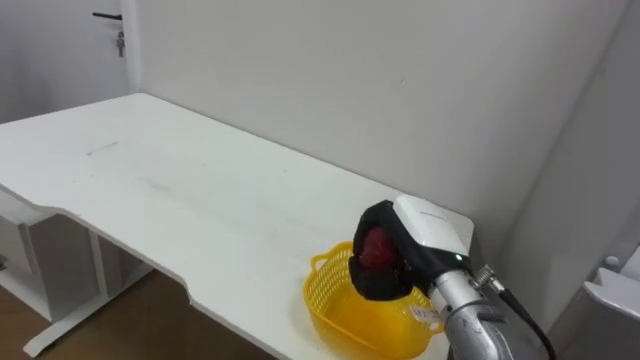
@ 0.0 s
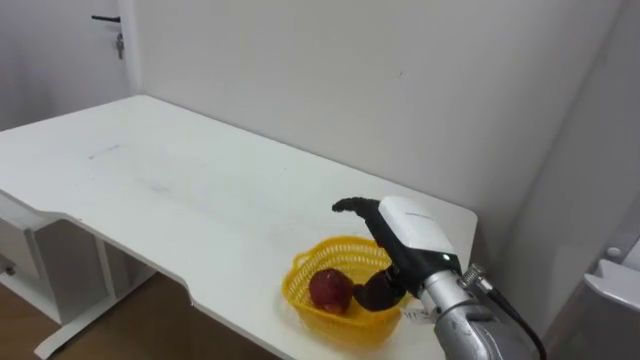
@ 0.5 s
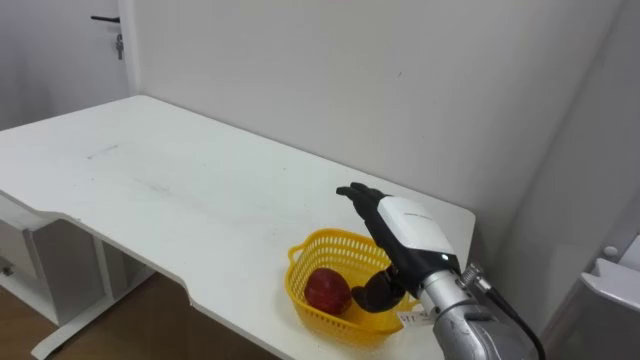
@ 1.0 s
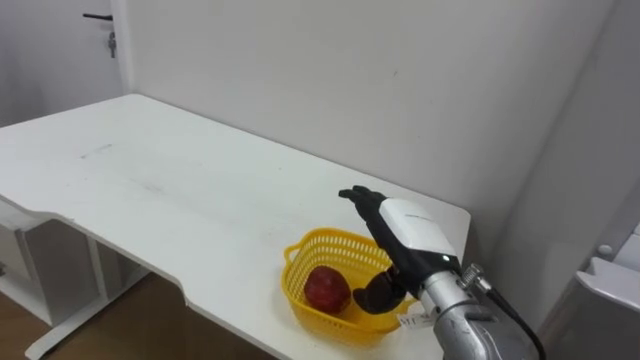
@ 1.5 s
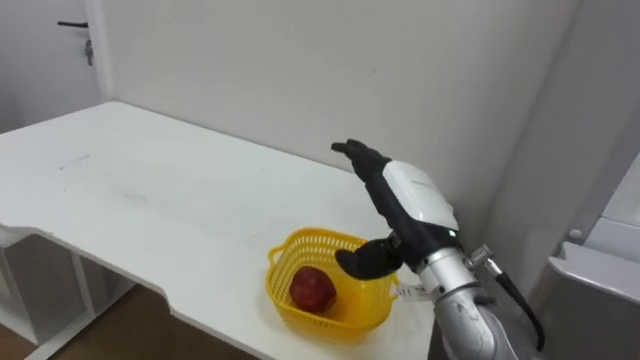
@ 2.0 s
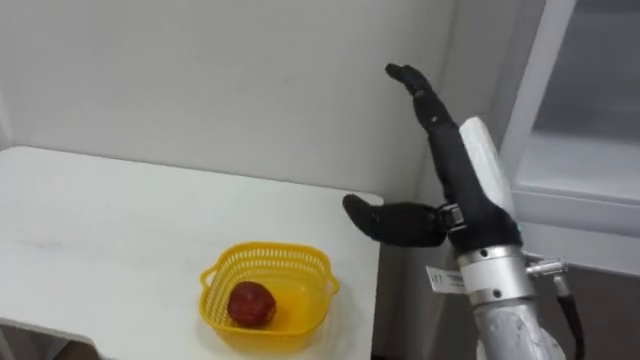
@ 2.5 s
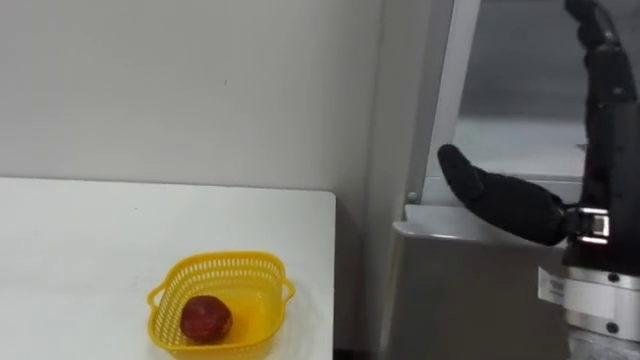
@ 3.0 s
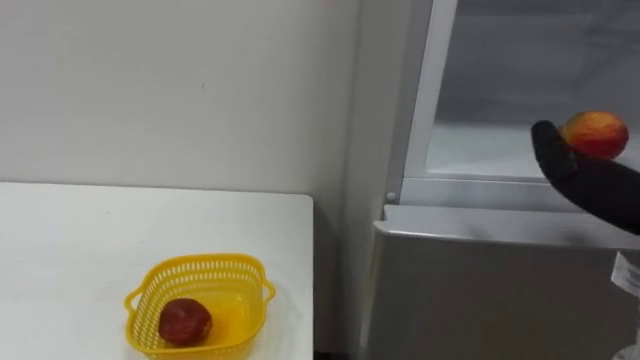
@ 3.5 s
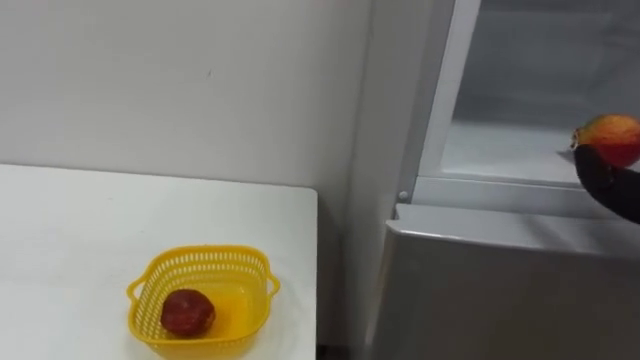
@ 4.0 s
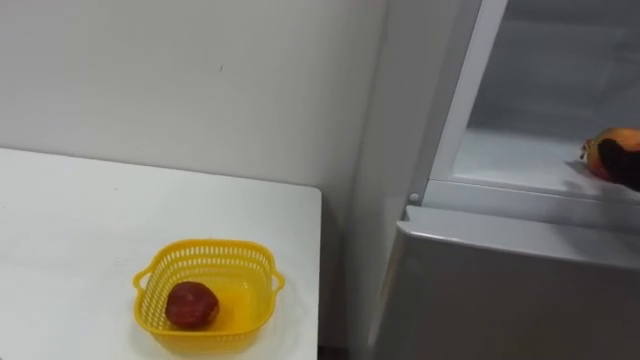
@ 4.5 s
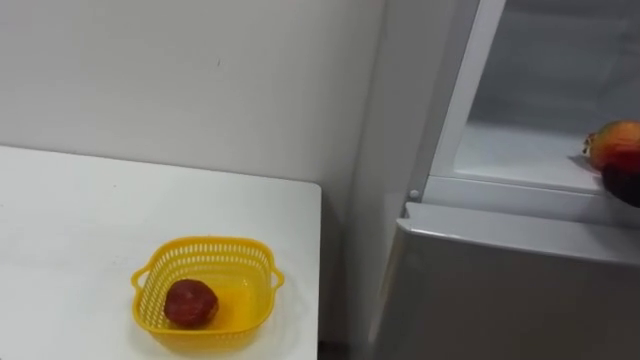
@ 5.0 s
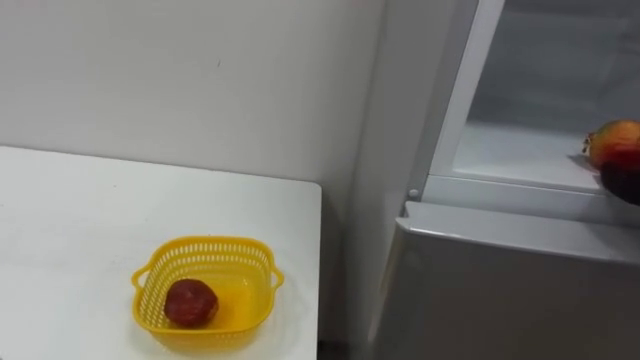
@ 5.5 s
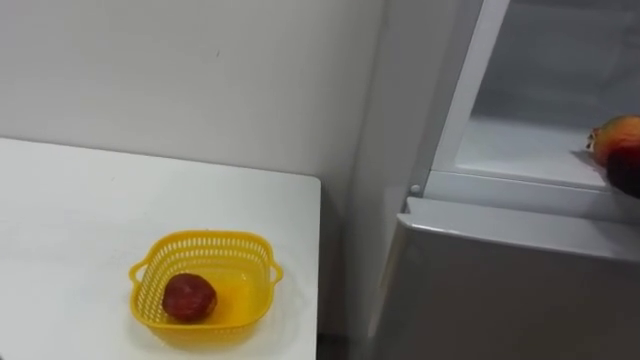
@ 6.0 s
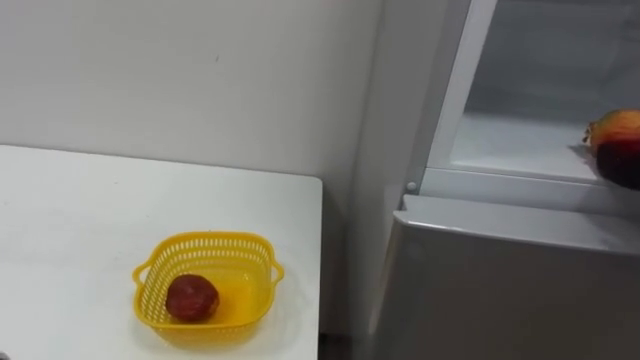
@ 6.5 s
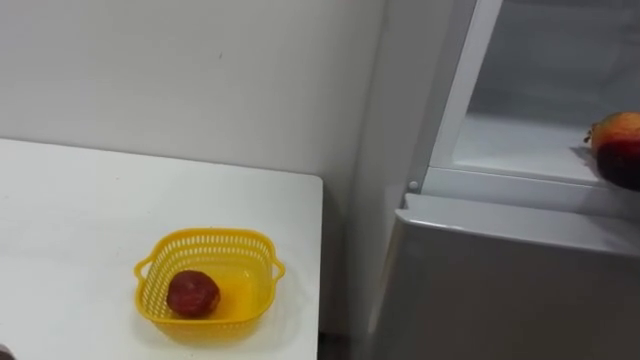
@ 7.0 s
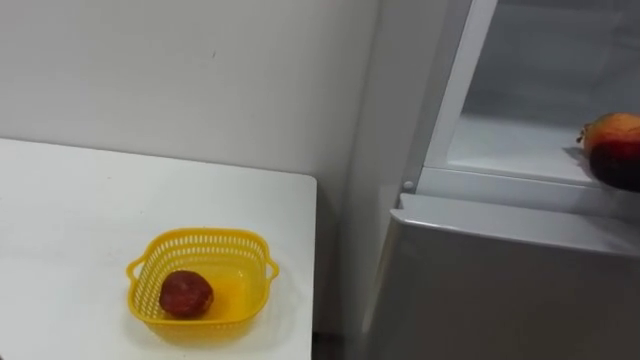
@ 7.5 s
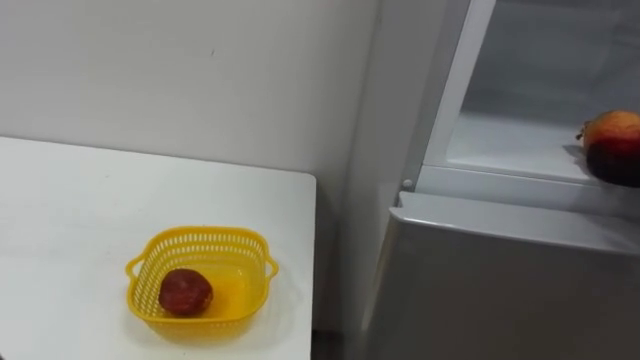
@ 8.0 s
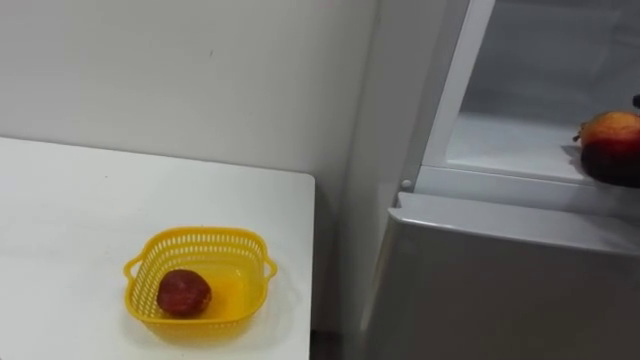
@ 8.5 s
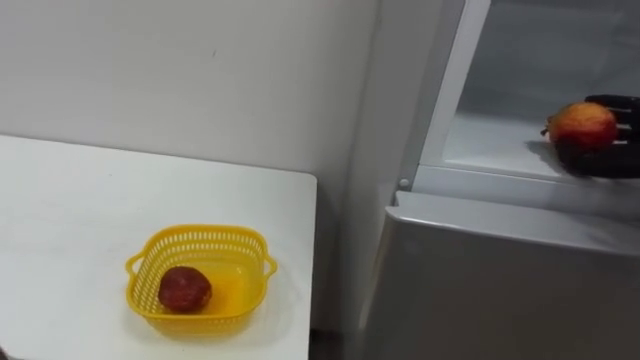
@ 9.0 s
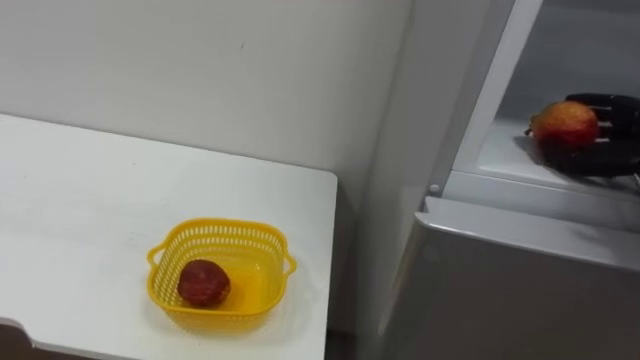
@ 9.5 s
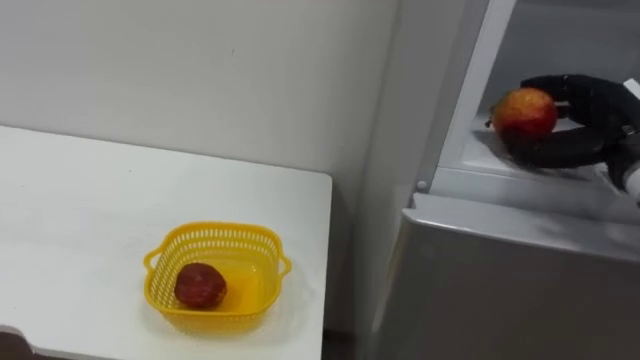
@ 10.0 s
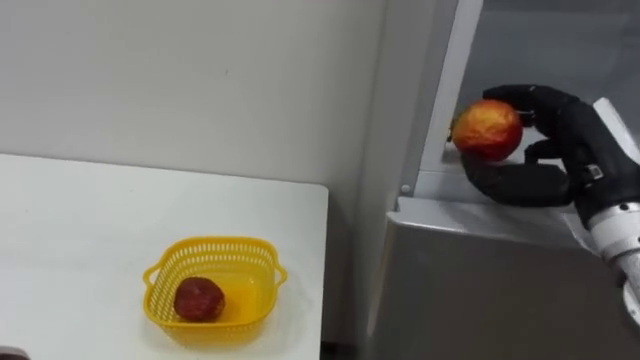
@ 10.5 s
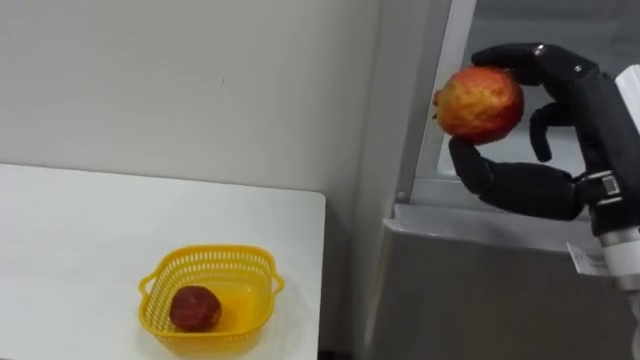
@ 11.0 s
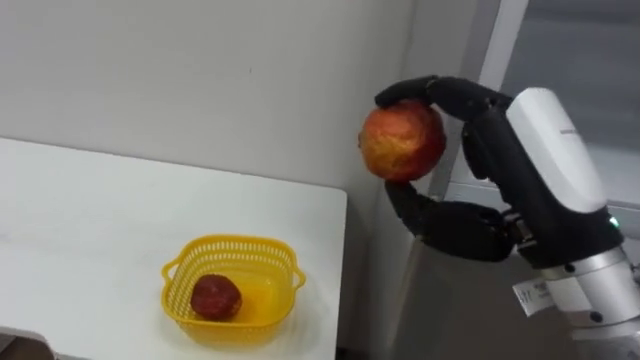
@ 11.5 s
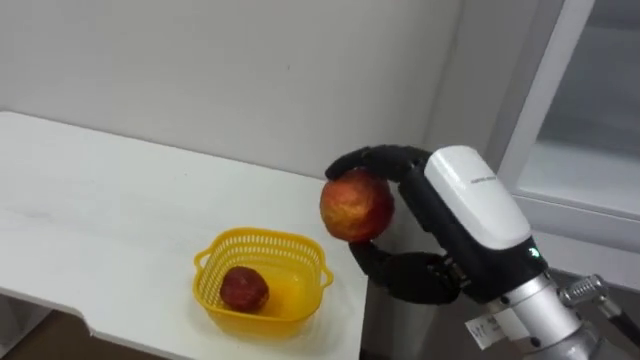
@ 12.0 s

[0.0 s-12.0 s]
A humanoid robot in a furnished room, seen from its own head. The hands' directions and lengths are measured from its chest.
Task of the whole recording: Open the refrigerator door, take out the apple and the pomegranate, place them in the fruit basket on the left, and close the refrigerator door.
0.0 to 2.0 s: The right hand changes place by roughly 5 cm, and opens.
10.0 to 12.0 s: The right hand shifts approximately 25 cm to the left and backward.

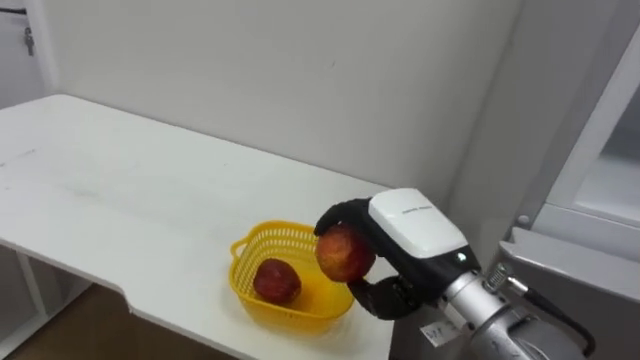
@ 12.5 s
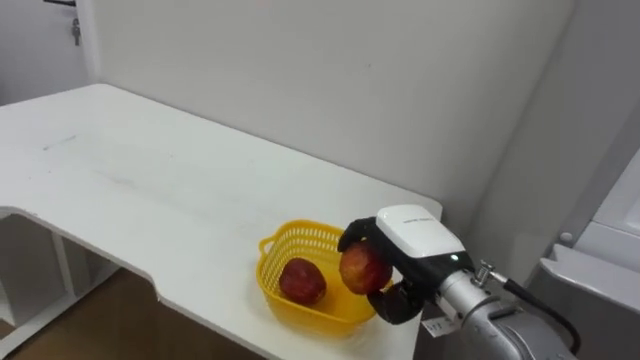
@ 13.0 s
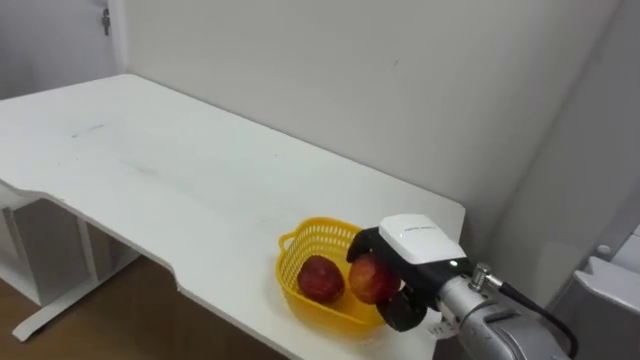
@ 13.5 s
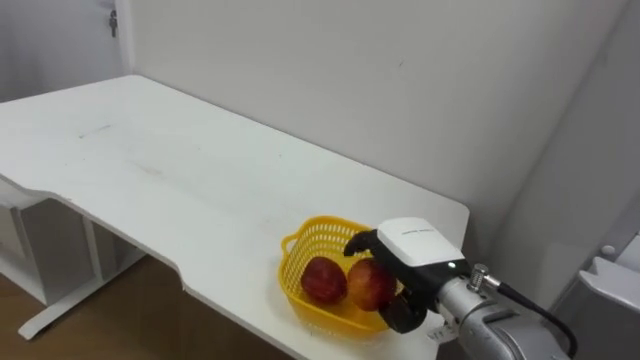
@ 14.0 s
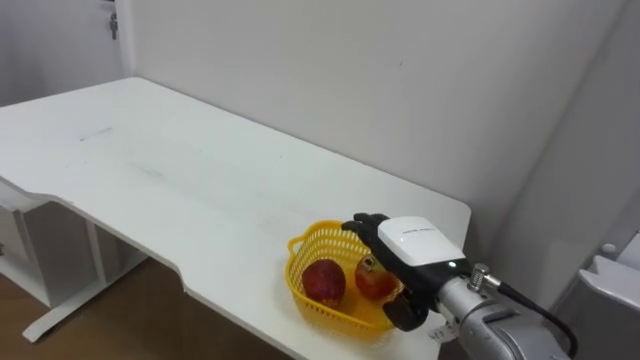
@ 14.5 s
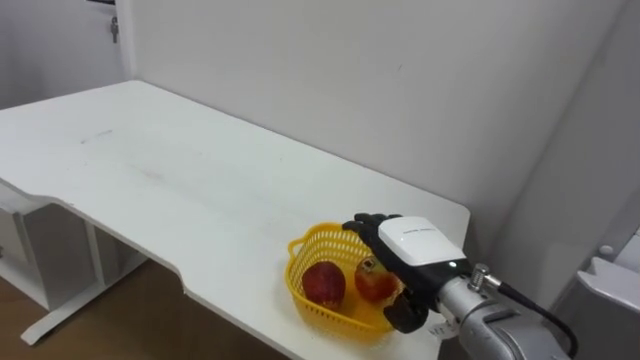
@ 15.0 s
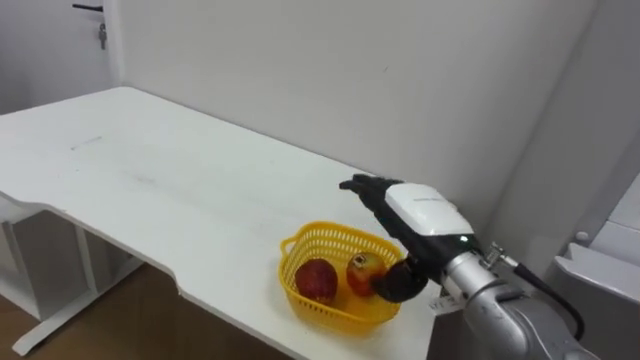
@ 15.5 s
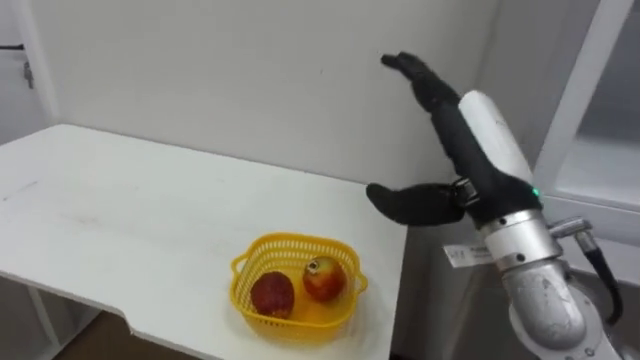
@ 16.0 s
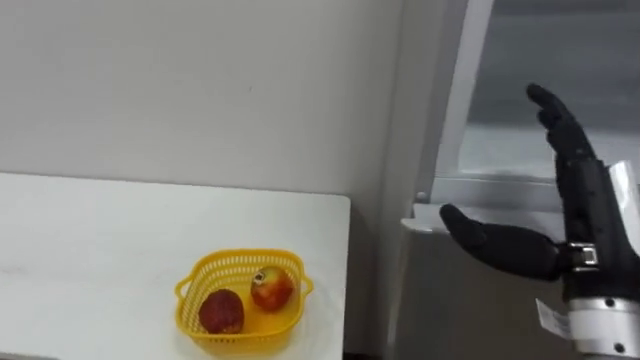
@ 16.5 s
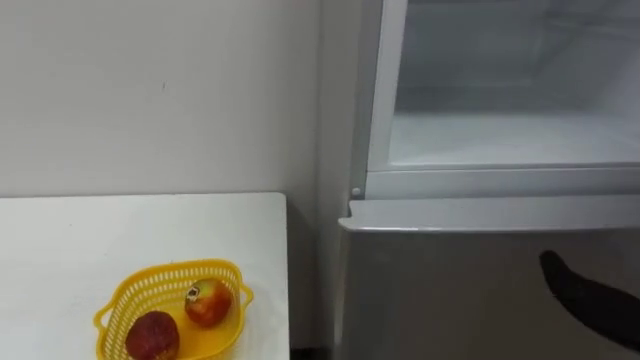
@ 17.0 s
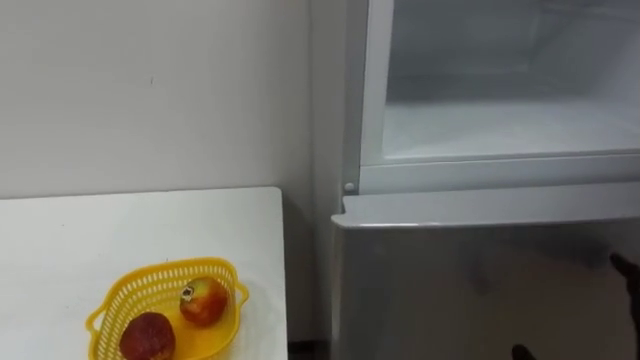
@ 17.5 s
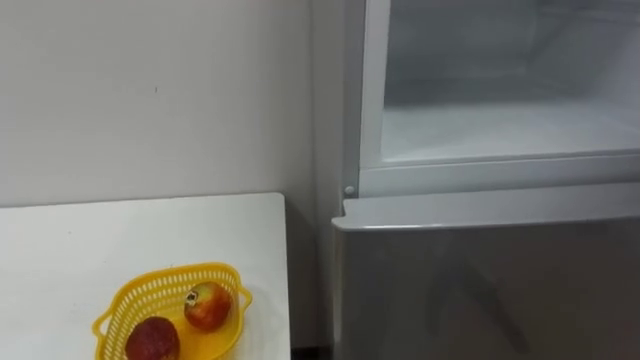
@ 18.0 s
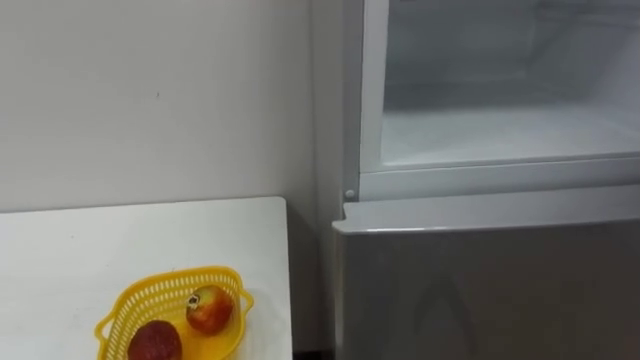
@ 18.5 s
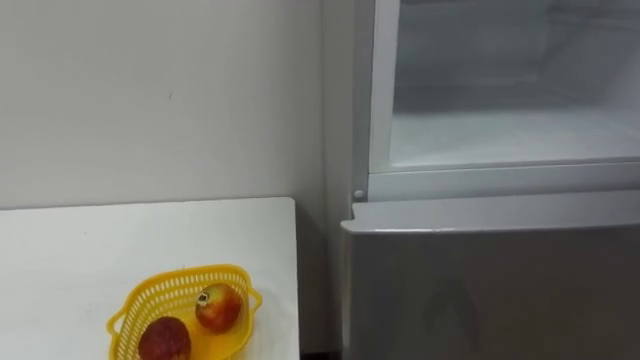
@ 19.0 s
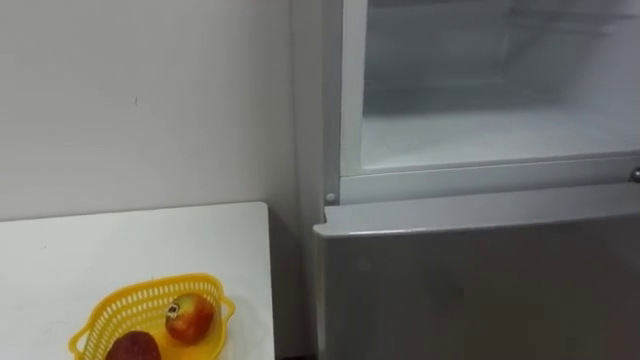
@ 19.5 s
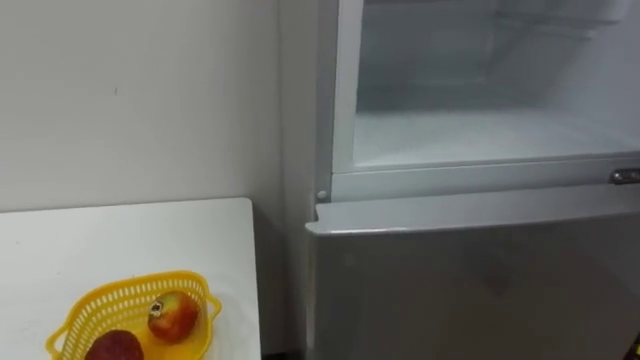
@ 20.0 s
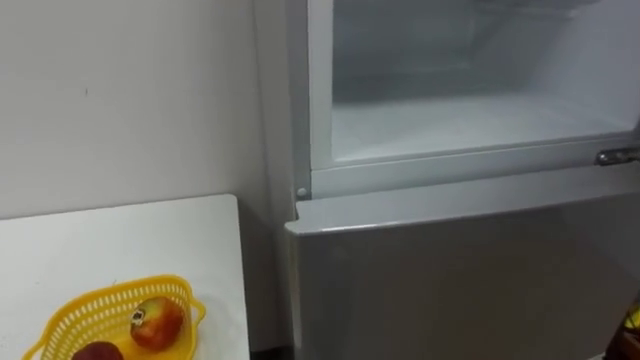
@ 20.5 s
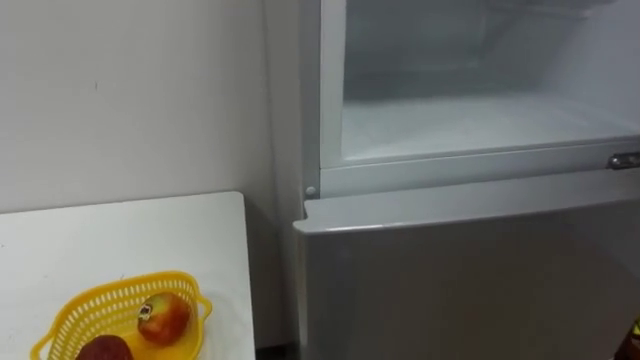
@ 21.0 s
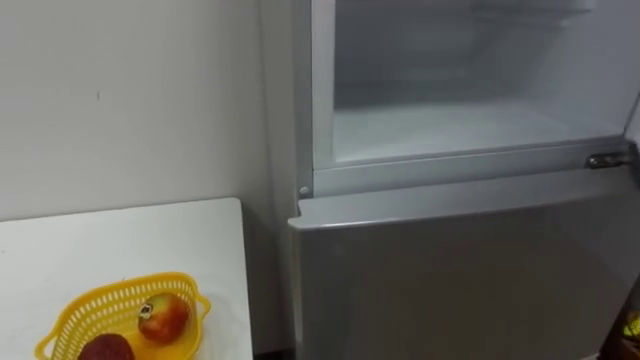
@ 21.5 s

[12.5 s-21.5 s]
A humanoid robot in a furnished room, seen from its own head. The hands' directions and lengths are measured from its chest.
Task of the whole recording: Open the refrigerator door, take out the apple and the pomegranate, place them in the fruit basket on the left, and close the refrigerator door.
12.5 to 14.5 s: The right hand goes about 5 cm downward, and opens.
